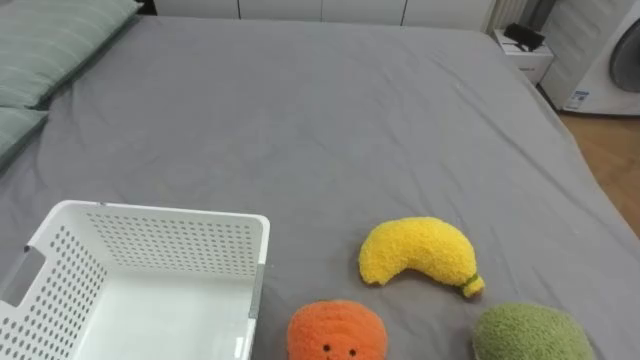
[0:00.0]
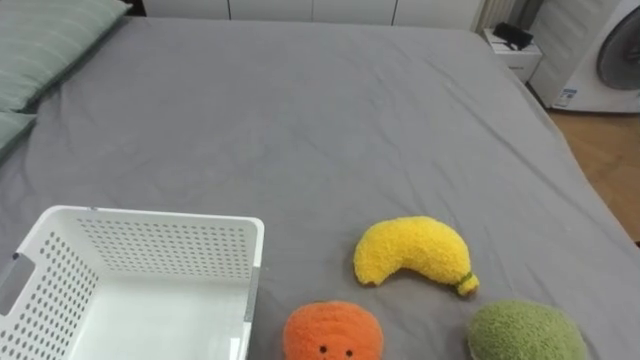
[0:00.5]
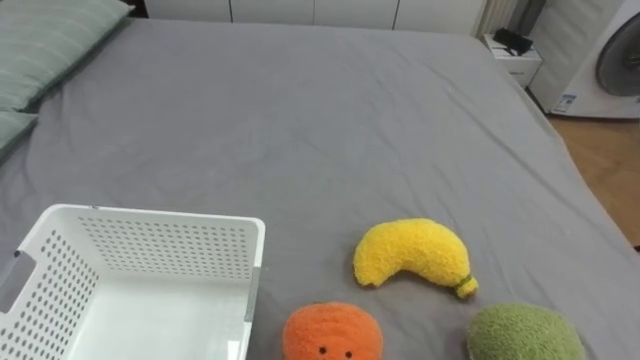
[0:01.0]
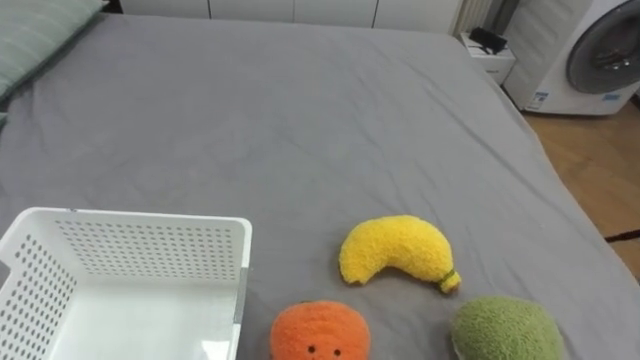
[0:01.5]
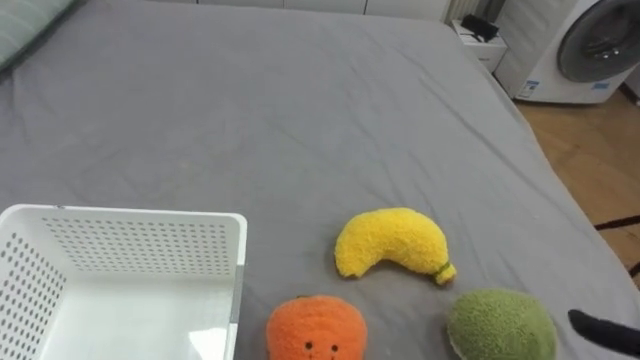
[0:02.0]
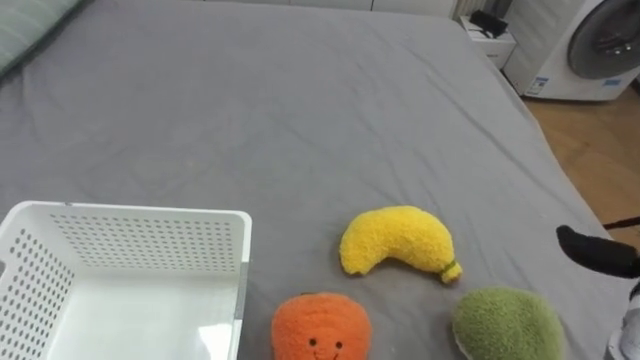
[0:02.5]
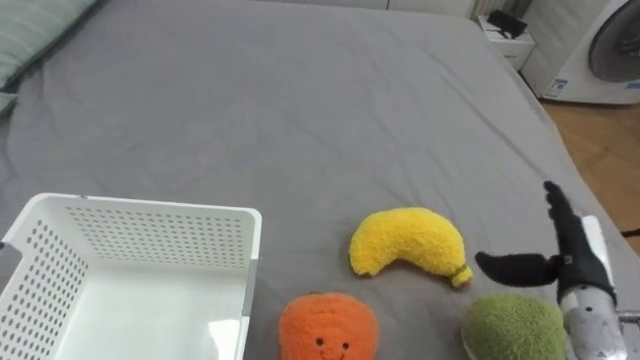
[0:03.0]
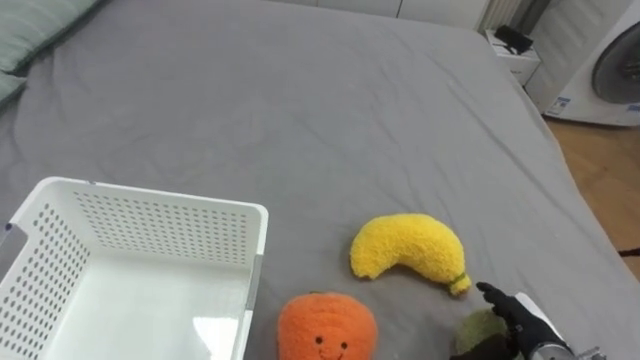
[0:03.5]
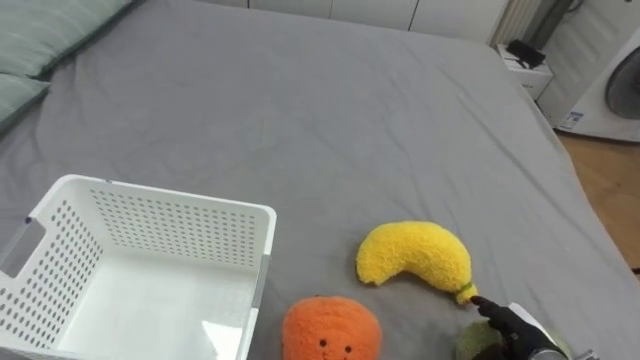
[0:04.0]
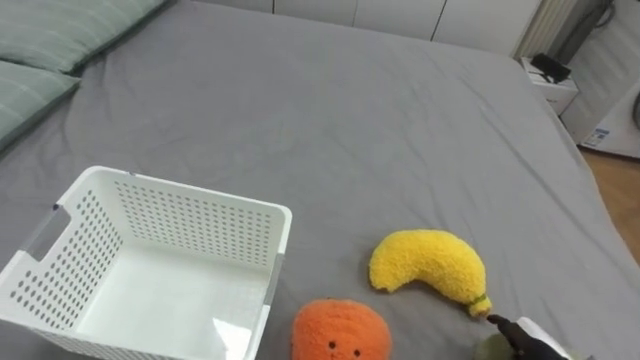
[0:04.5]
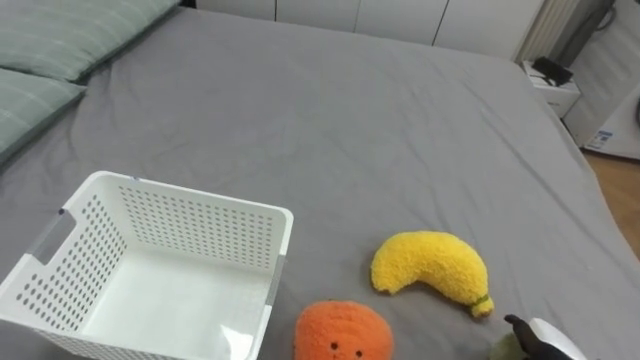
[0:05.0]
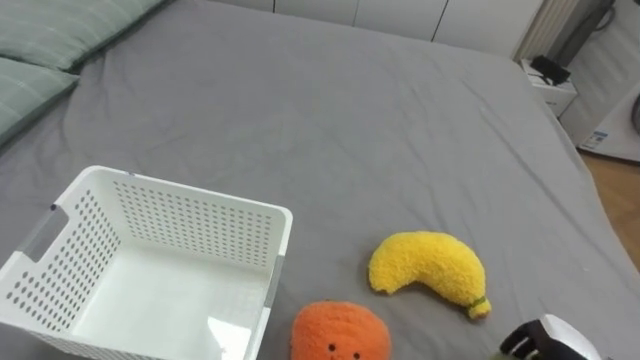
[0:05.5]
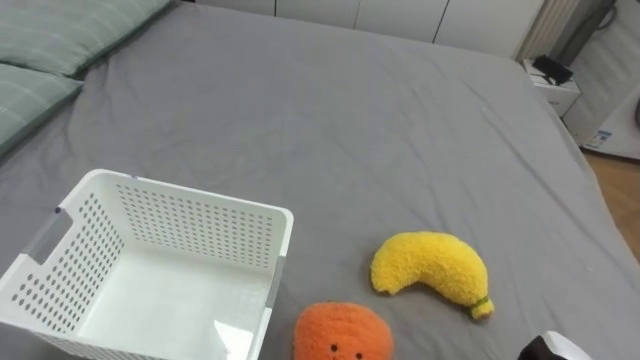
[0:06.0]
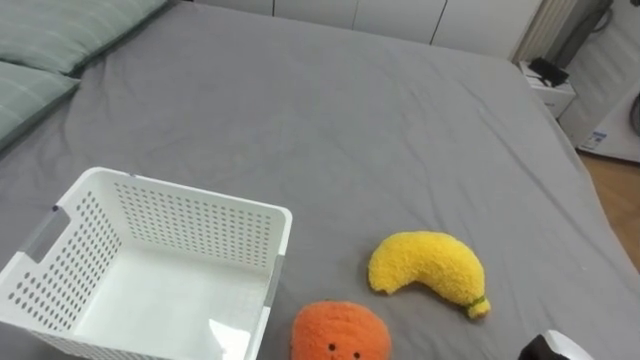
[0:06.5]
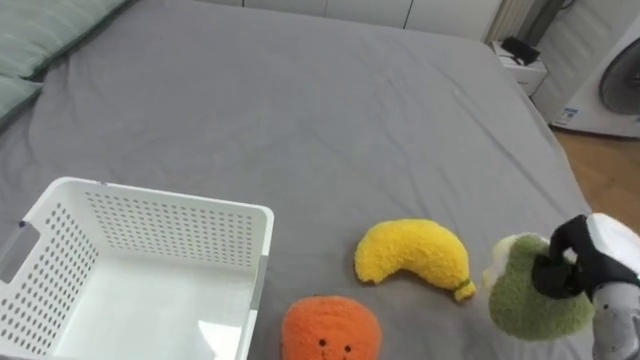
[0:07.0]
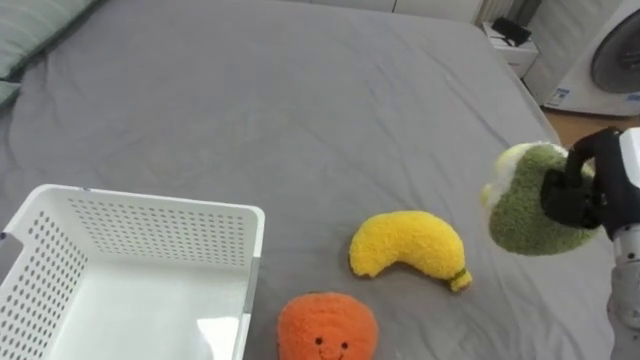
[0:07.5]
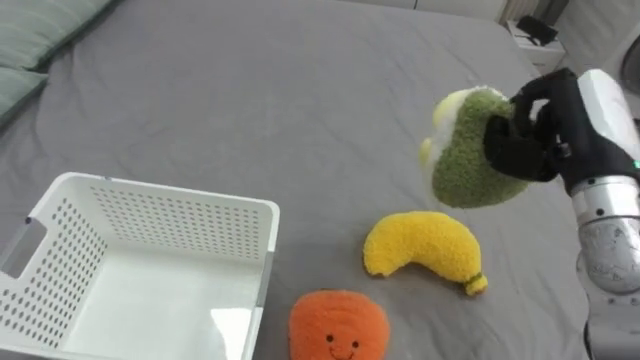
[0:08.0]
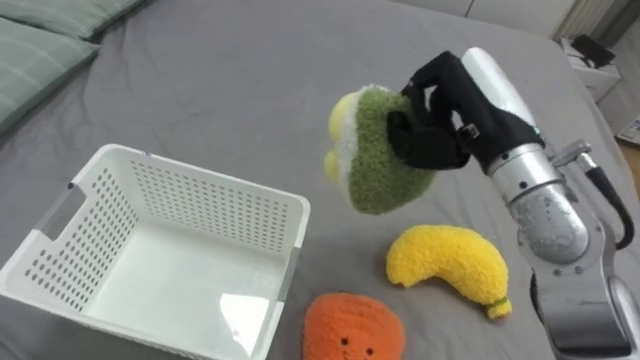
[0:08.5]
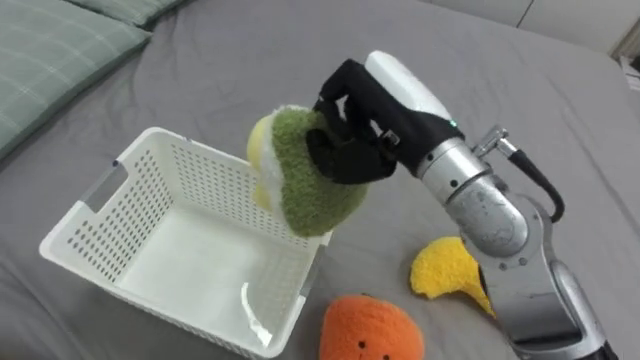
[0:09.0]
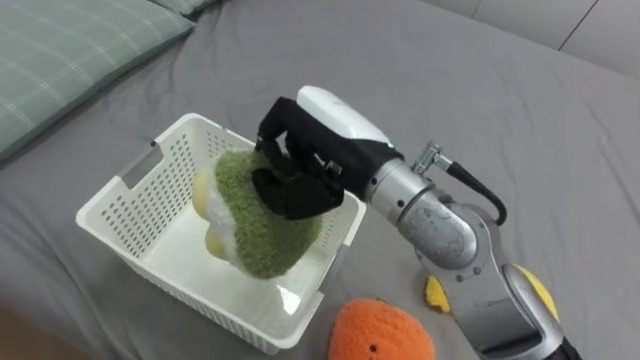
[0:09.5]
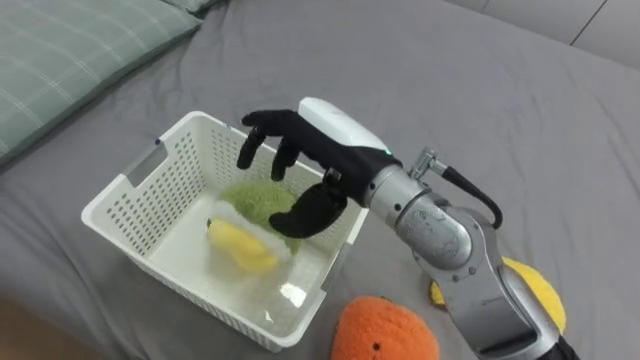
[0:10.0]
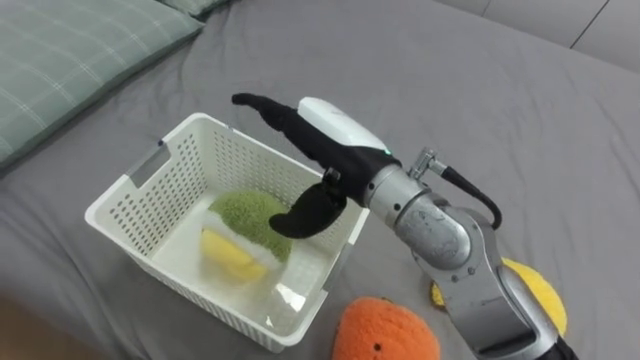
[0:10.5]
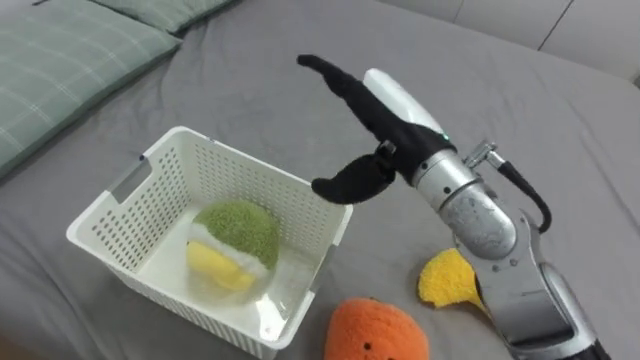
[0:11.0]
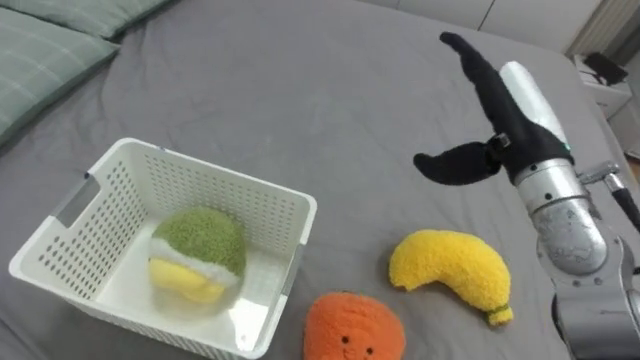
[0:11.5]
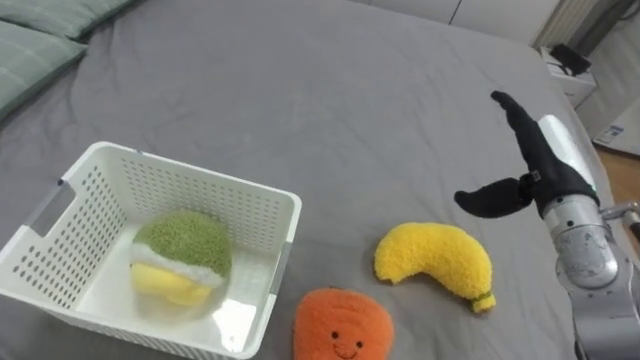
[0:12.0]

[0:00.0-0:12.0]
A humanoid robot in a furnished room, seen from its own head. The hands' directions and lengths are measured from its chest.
Task of the whole recording: Put the toys on the bed into the basket on the left.
0:08.0 to 0:10.0: The right hand goes some 25 cm to the left, and opens.
0:10.0 to 0:12.0: The right hand moves to the right, approximately 25 cm, and opens up.

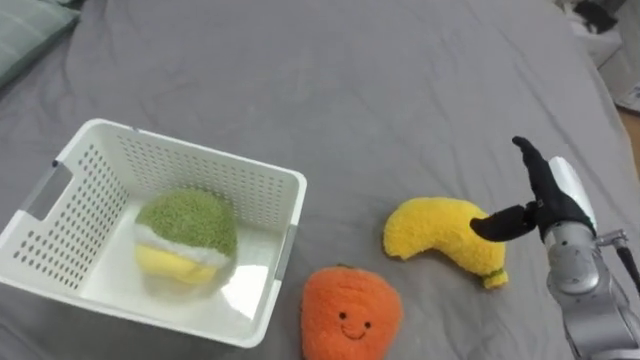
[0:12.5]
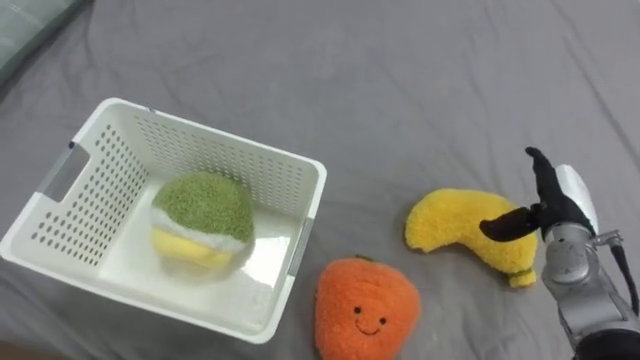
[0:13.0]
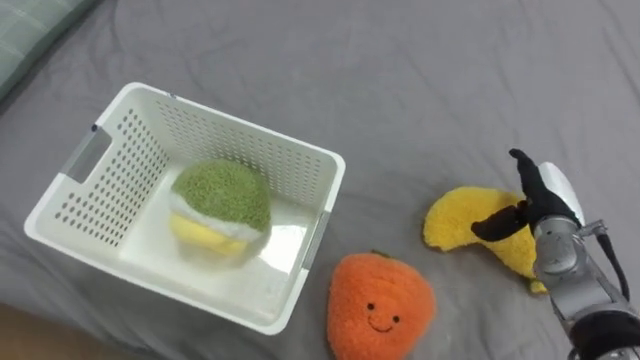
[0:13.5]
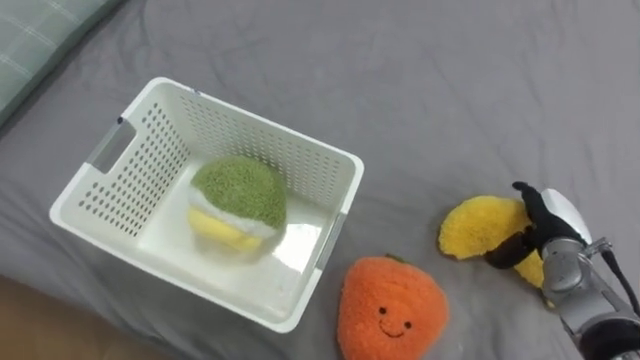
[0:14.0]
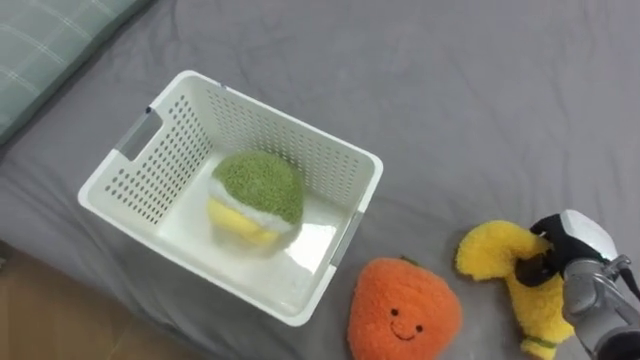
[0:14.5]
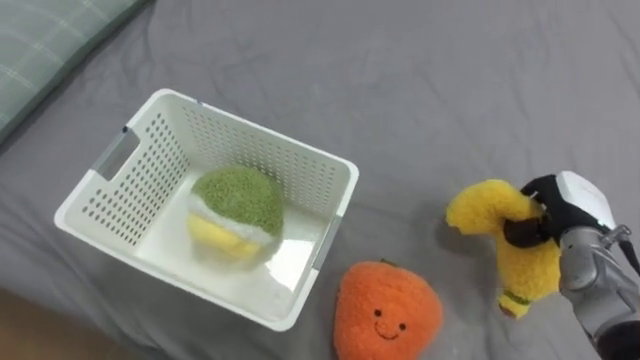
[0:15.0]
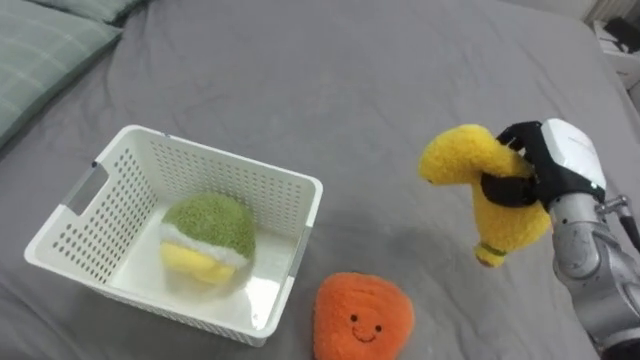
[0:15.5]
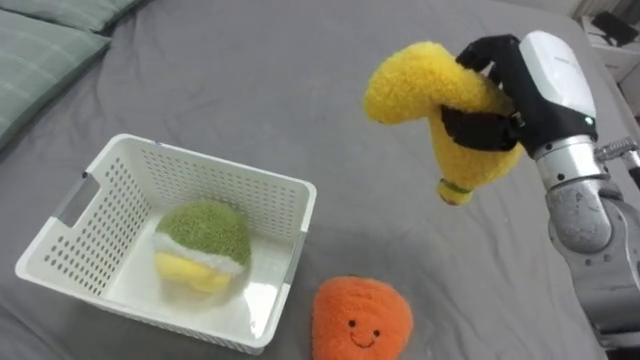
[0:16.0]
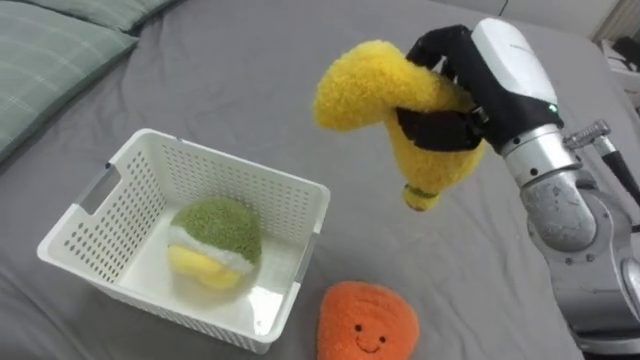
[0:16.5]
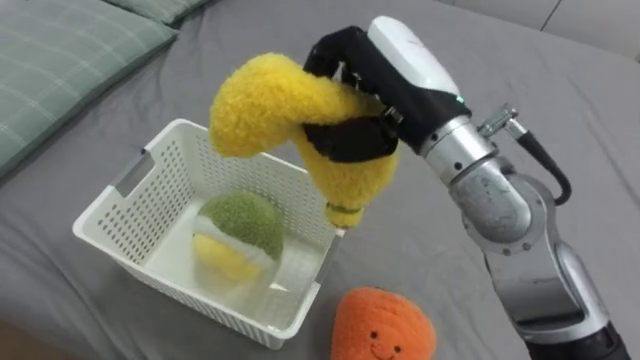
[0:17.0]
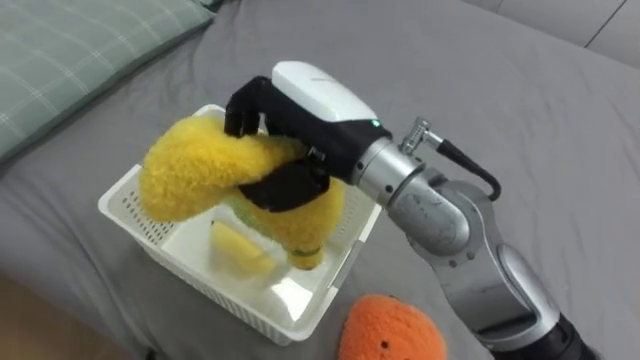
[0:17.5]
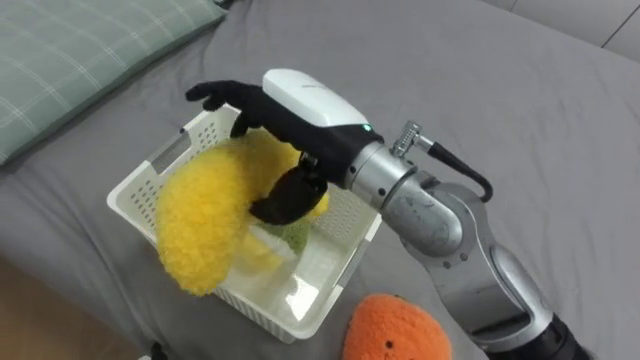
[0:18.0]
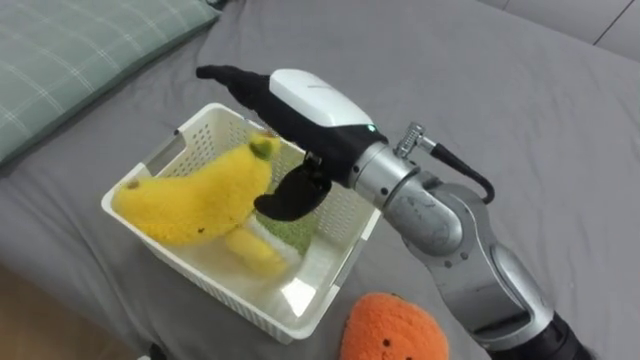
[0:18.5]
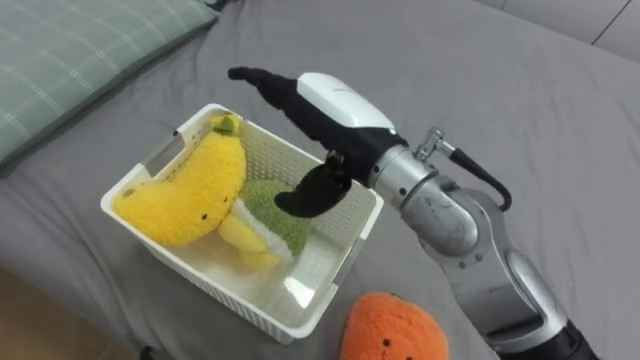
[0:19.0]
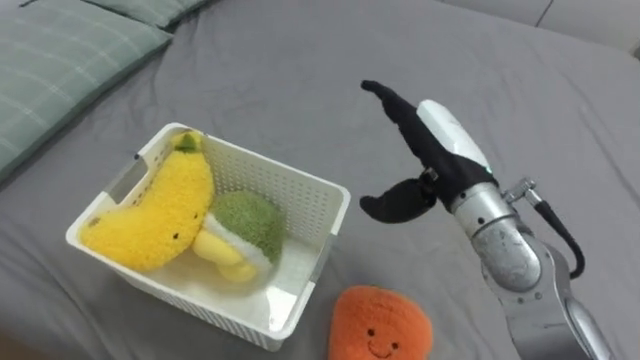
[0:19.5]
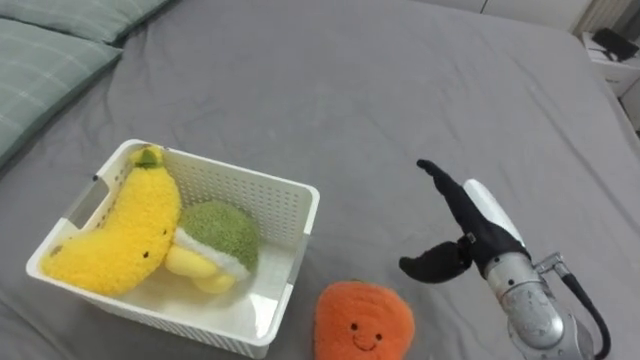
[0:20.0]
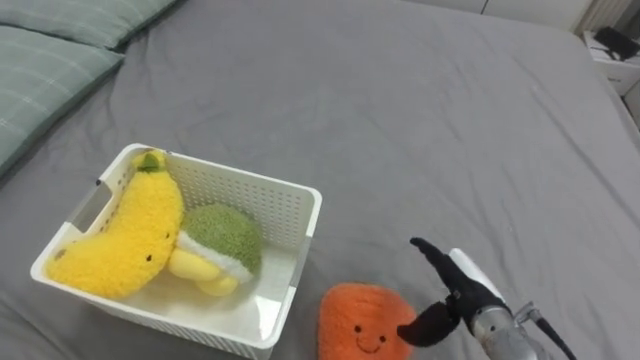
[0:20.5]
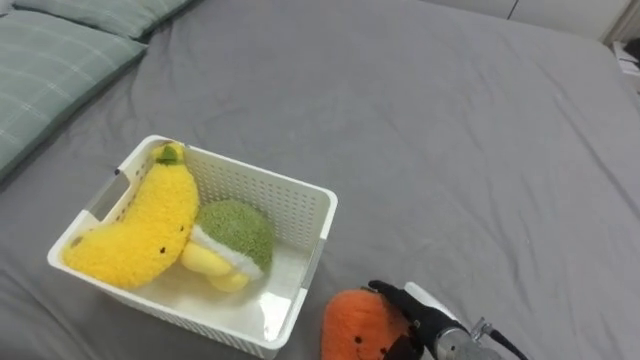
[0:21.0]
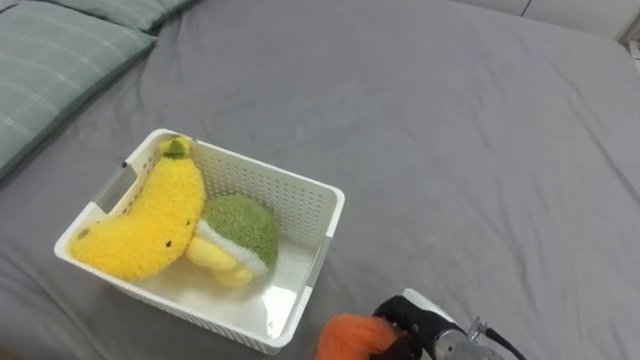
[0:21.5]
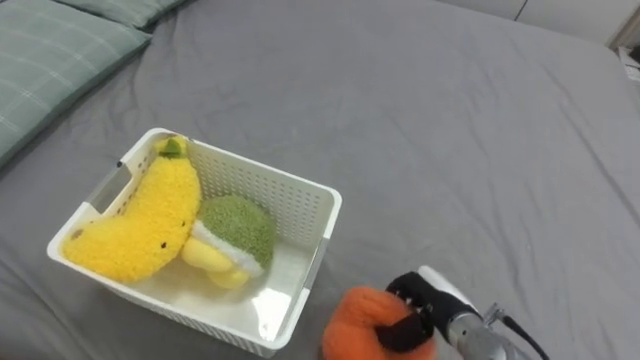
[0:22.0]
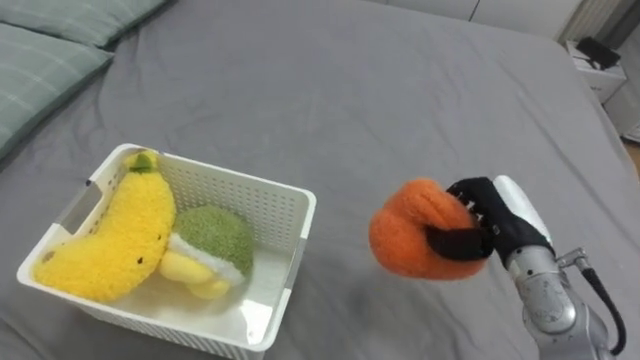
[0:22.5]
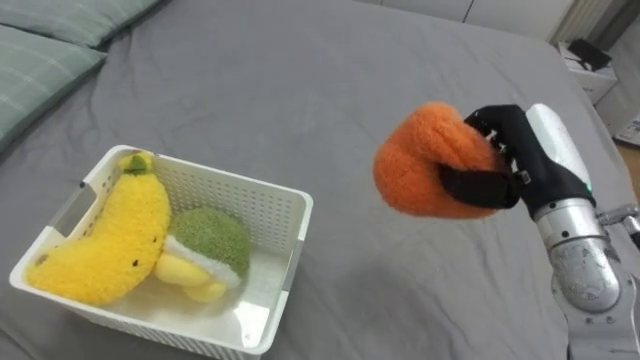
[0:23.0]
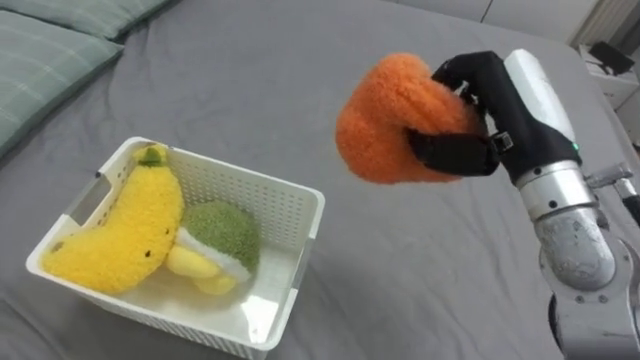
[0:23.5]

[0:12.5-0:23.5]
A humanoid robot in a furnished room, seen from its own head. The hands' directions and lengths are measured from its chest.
Task of the whole recording: Put the toys on the bed into the basket on the left.
0:12.5 to 0:14.5: The right hand heads downward, covering about 10 cm, and closes.
0:14.5 to 0:16.0: The right hand goes some 25 cm upward and to the left.
0:16.0 to 0:18.0: The right hand is displaced to the left by some 20 cm, and opens its fingers.
0:18.0 to 0:20.0: The right hand moves to the right and downward, about 25 cm.
0:20.0 to 0:21.5: The right hand travels downward and backward by approximately 15 cm, and closes.
0:21.5 to 0:23.5: The right hand goes approximately 30 cm upward.
